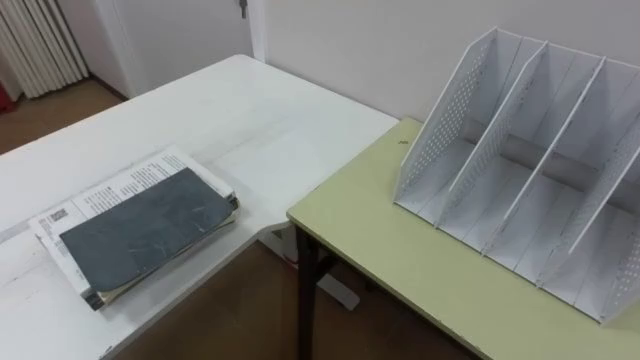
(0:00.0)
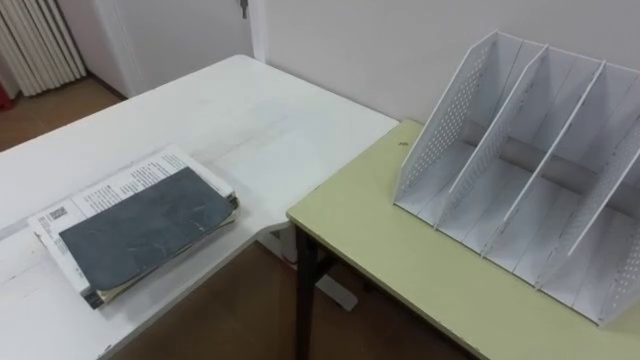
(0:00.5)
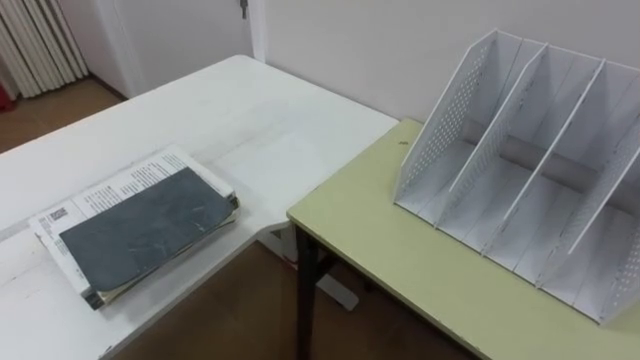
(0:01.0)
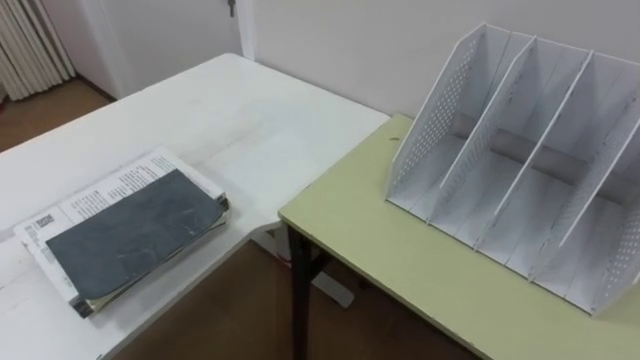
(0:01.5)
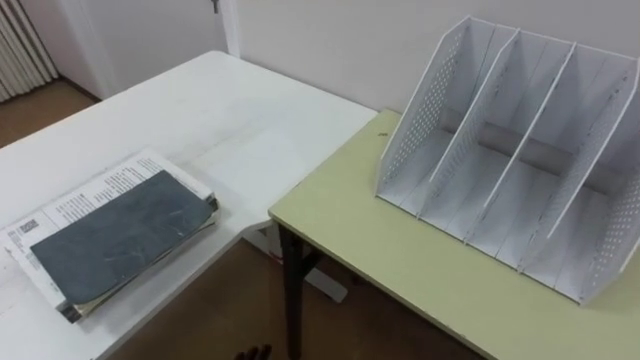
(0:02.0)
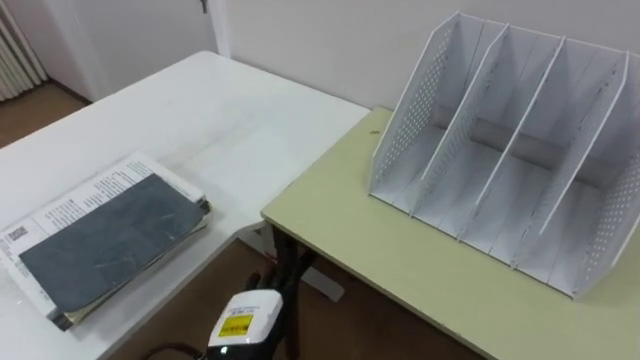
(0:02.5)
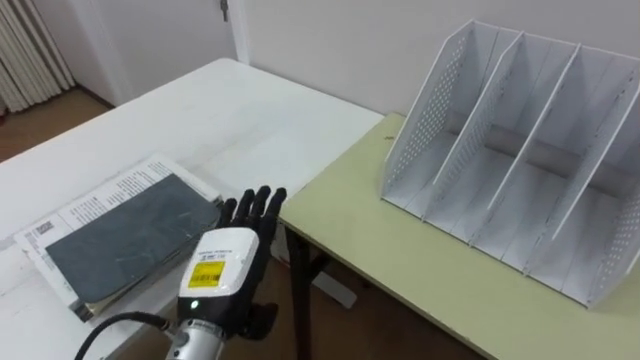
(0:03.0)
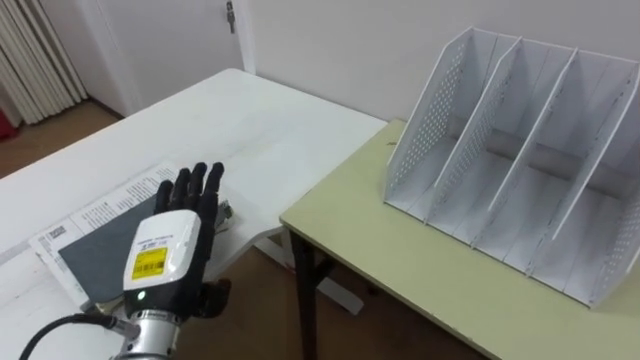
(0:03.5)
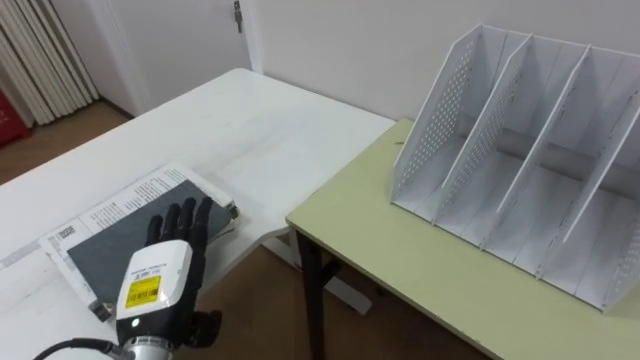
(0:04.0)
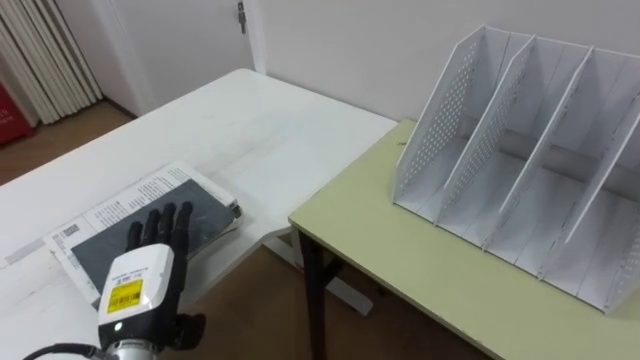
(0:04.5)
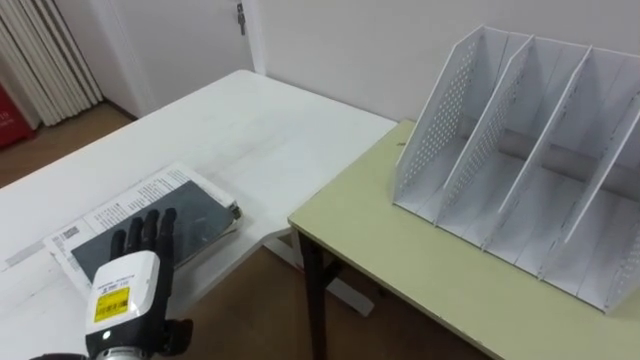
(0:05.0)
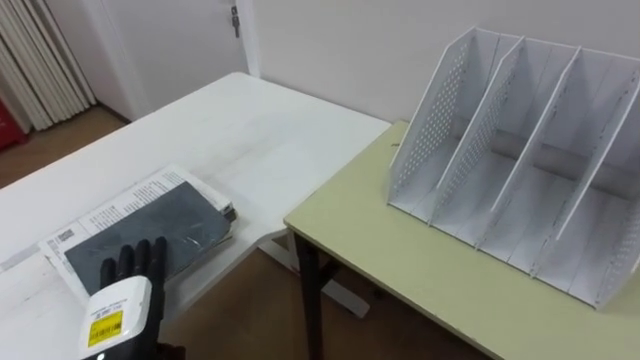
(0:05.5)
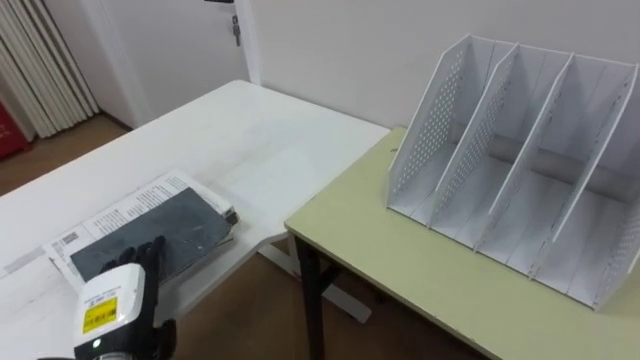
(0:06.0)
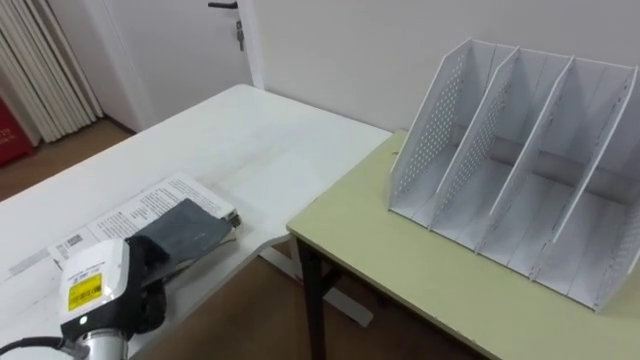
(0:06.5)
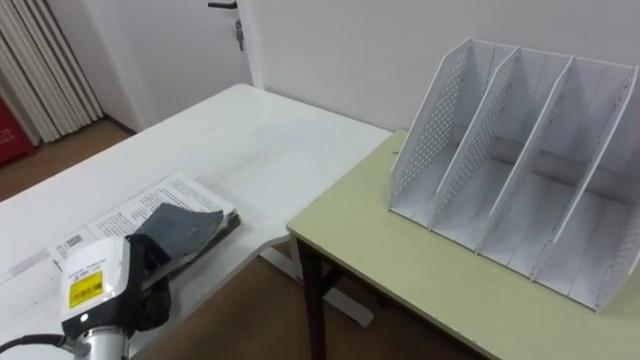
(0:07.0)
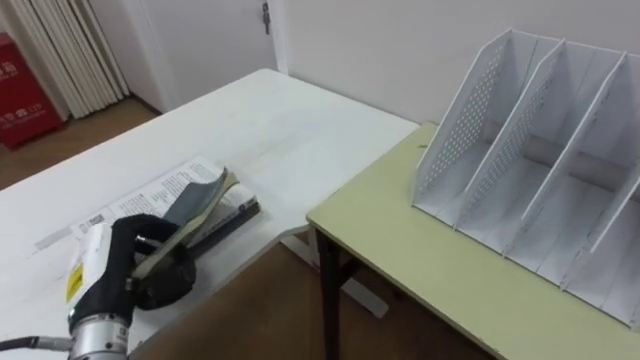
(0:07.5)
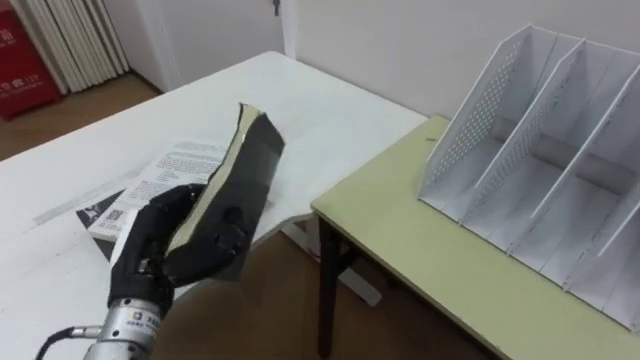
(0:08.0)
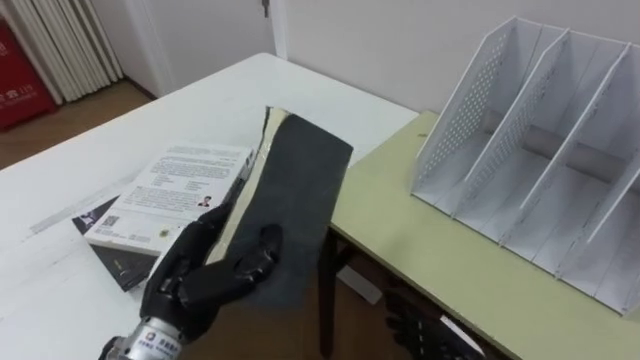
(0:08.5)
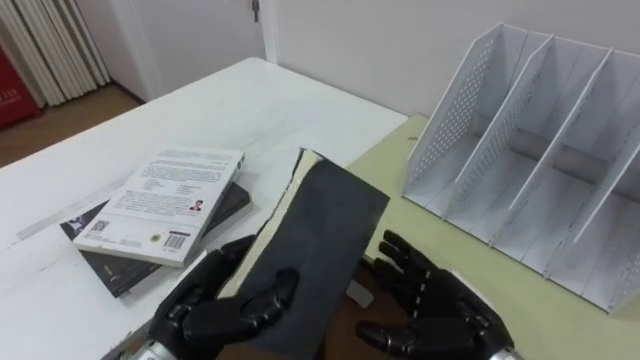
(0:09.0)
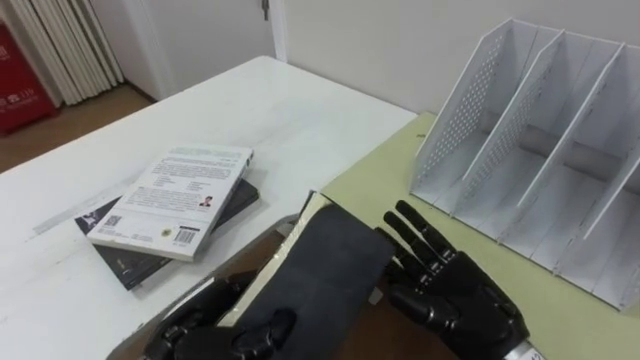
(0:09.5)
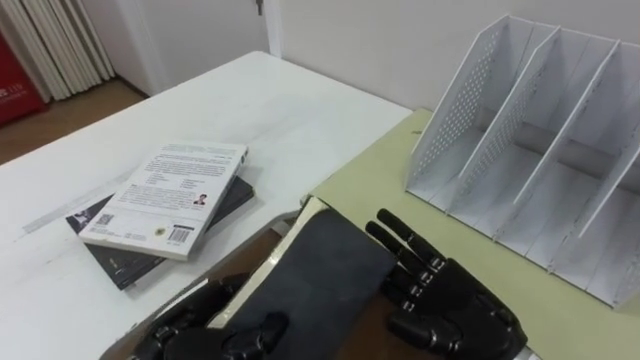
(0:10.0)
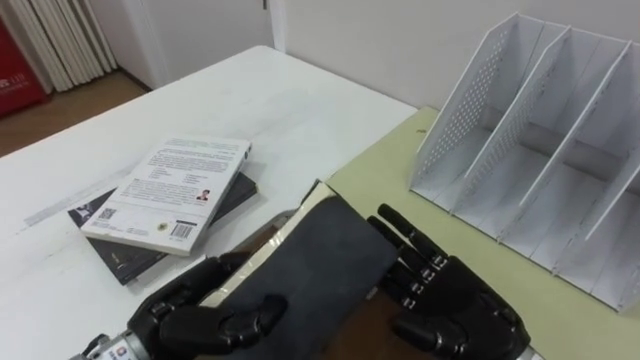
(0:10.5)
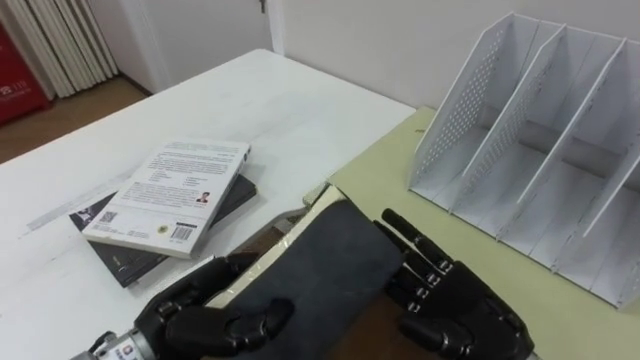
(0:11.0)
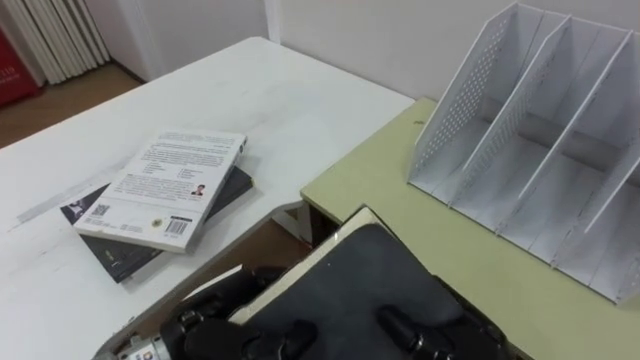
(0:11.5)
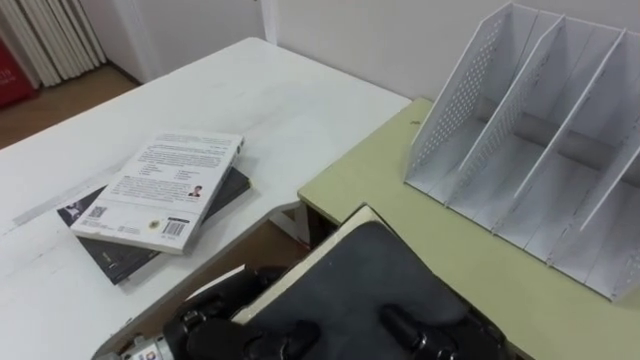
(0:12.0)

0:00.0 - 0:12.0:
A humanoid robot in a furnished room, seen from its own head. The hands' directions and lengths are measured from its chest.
Task of the whole recording: Put the books on the table onto the bookshelf.
0:04.0 - 0:06.0: The left hand shifts about 5 cm to the left.
0:06.0 - 0:08.0: The left hand heads upward, covering approximately 10 cm, and closes up.
0:08.0 - 0:10.0: The left hand goes some 10 cm to the right, backward and downward.
0:10.0 - 0:12.0: The right hand closes its fingers.

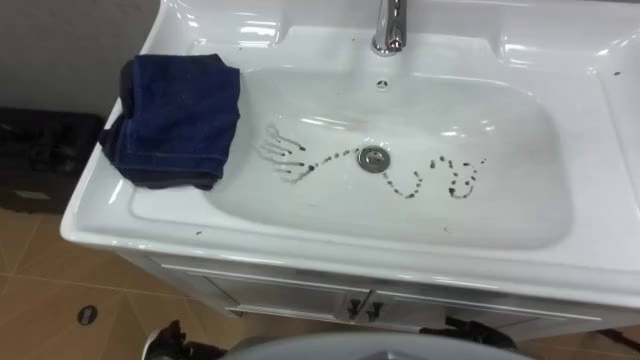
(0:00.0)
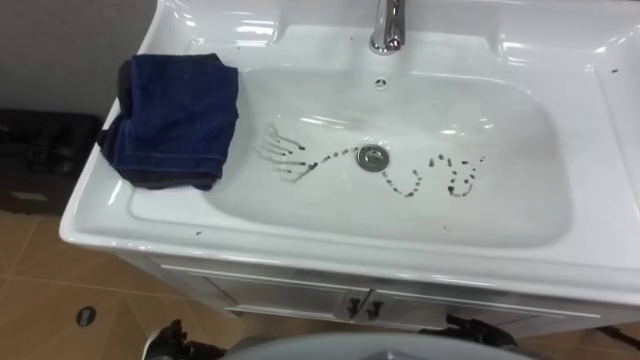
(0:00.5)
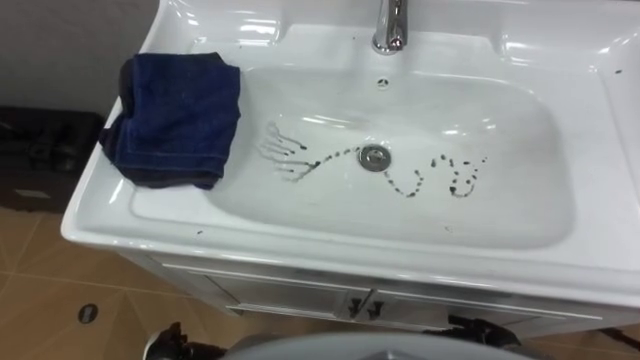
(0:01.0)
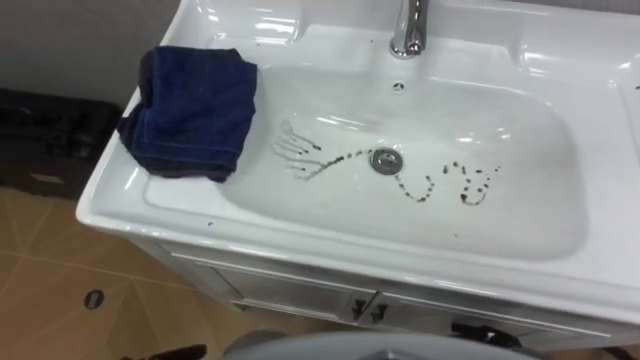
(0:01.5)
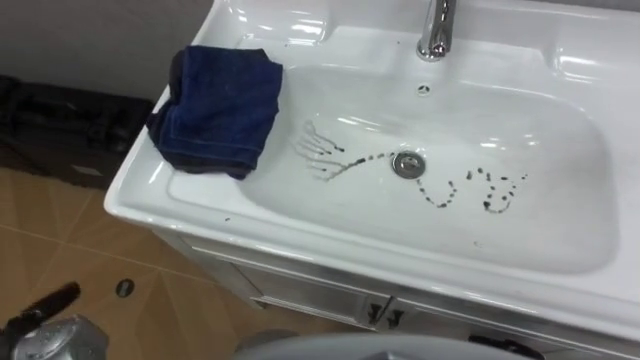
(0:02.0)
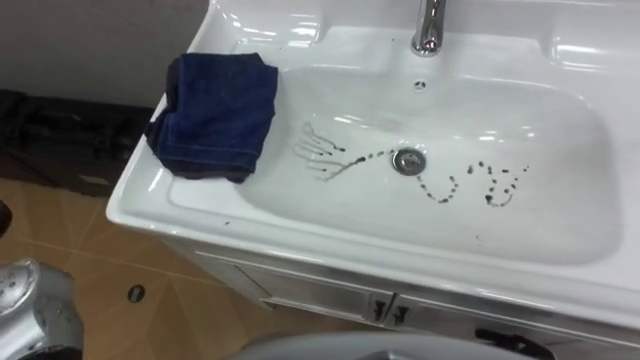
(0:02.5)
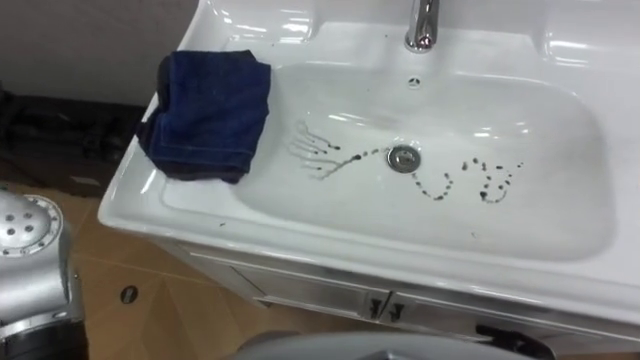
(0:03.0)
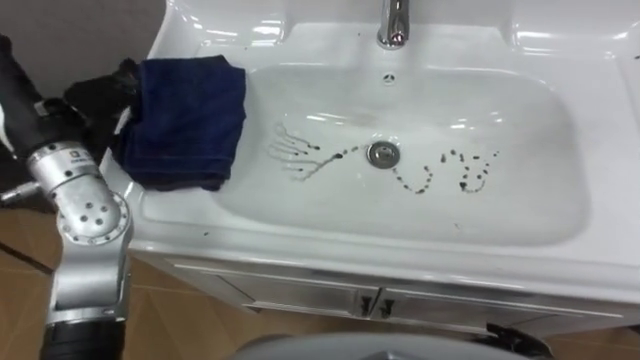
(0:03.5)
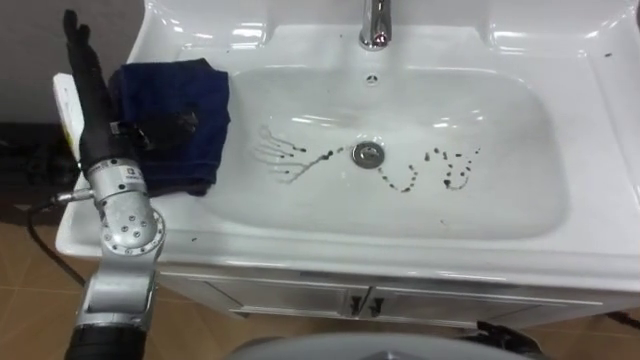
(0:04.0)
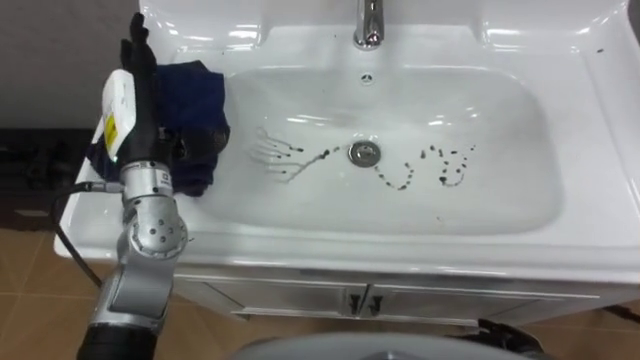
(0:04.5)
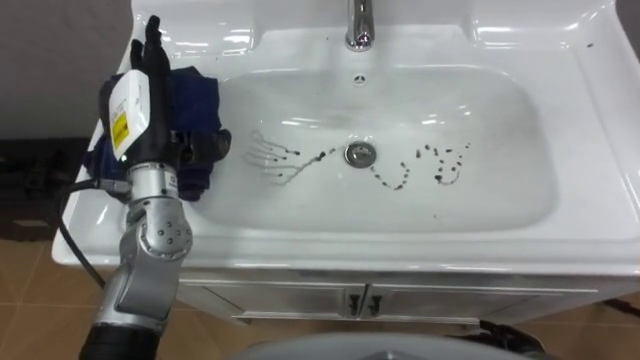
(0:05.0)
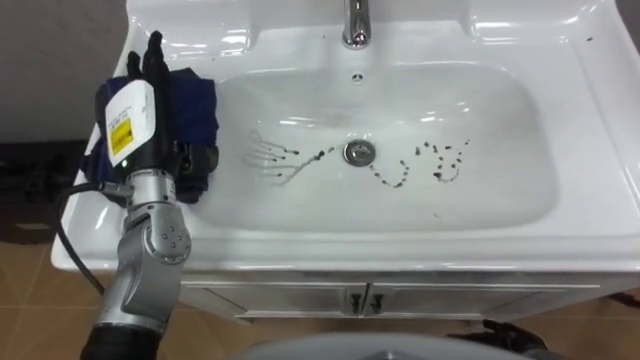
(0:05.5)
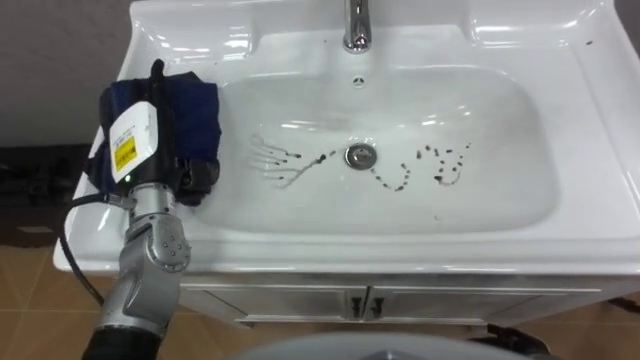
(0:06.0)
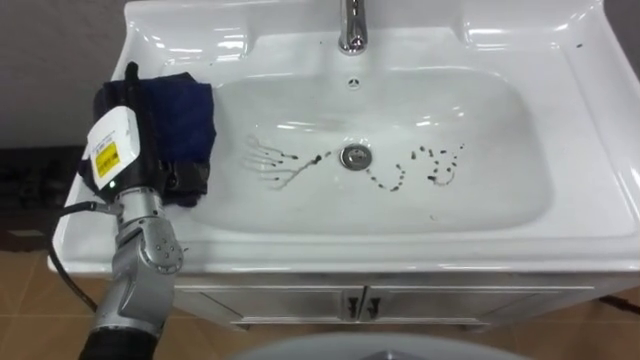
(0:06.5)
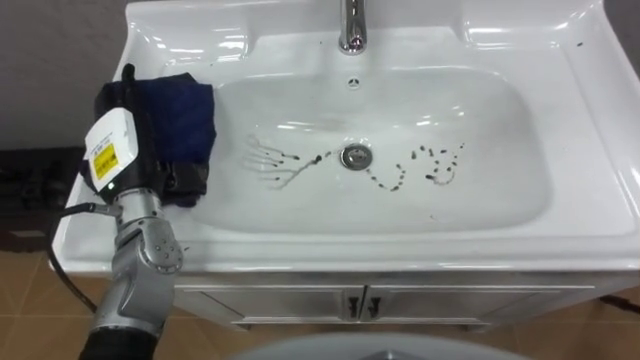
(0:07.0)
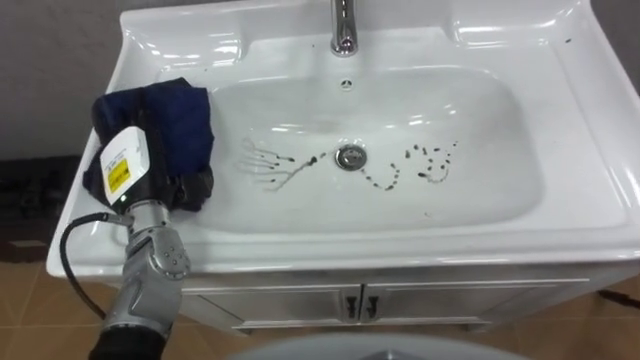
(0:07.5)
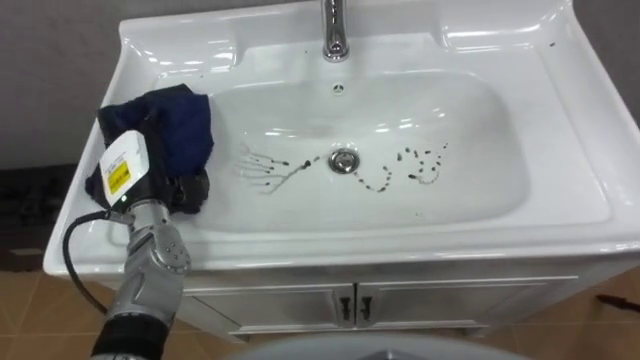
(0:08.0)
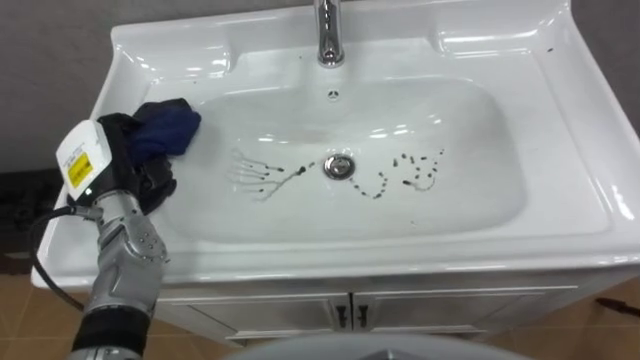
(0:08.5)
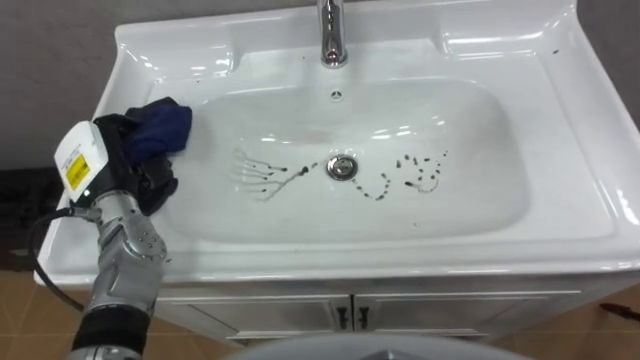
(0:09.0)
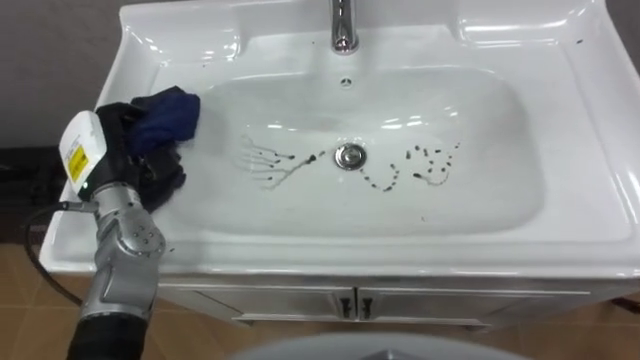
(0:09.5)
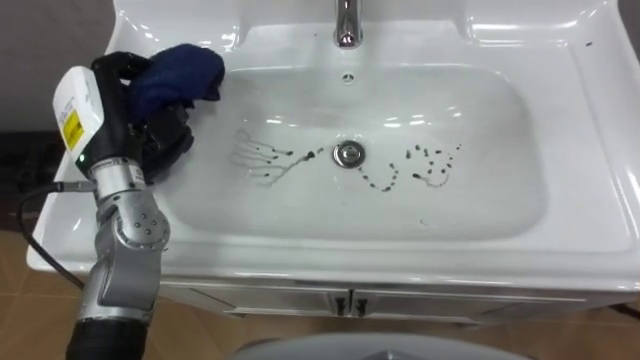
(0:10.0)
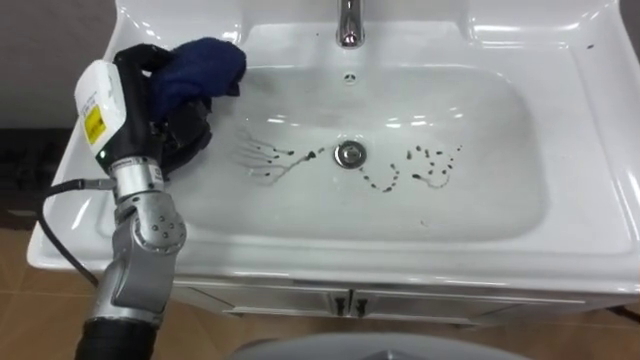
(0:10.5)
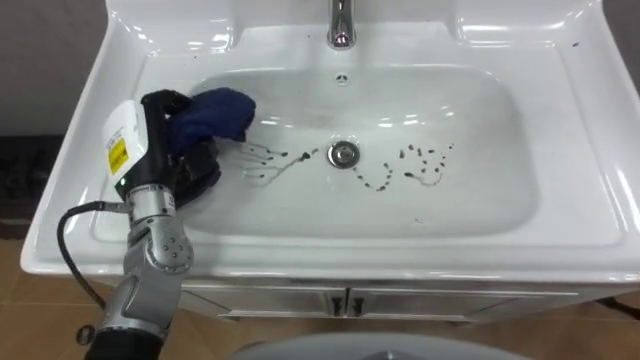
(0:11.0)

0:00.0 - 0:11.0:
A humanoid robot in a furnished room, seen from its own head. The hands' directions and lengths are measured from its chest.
Task of the whole recording: Use the cloth on the right to wipe away the black stain in the sink.
0:03.5 - 0:05.5: The left hand heads to the right and downward, covering some 10 cm.
0:05.5 - 0:07.5: The left hand travels downward by approximately 5 cm.
0:07.5 - 0:09.0: The left hand closes up.
0:09.0 - 0:11.0: The left hand travels to the right by roughly 5 cm.
